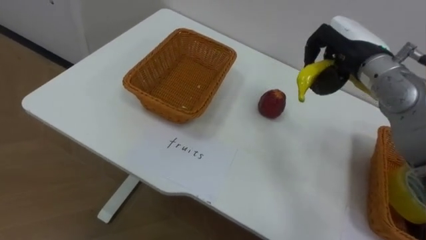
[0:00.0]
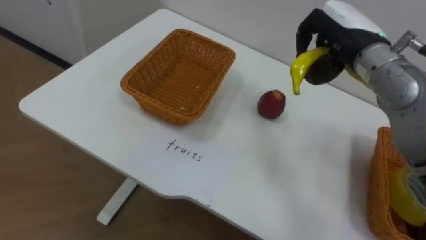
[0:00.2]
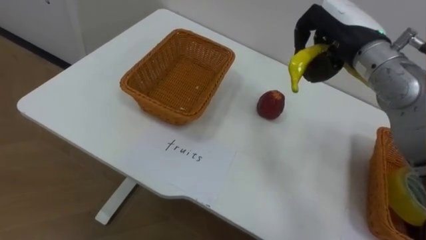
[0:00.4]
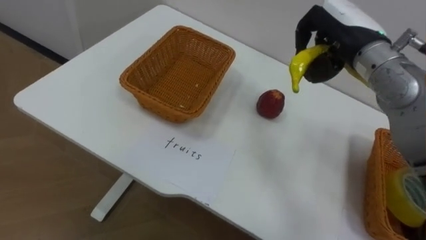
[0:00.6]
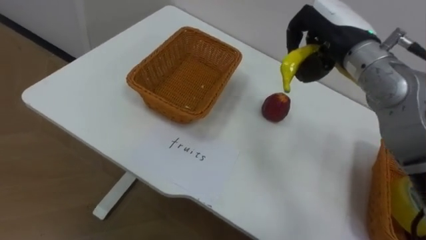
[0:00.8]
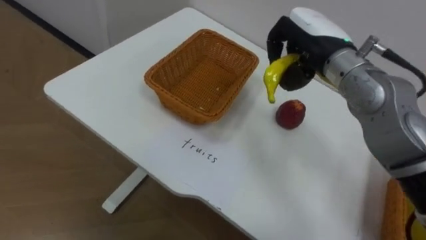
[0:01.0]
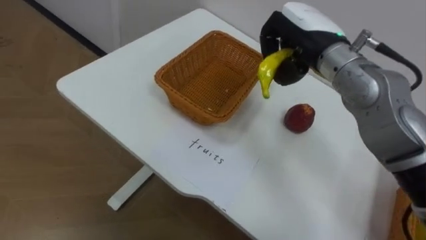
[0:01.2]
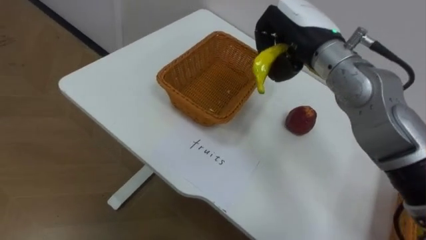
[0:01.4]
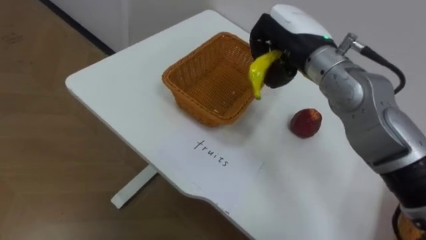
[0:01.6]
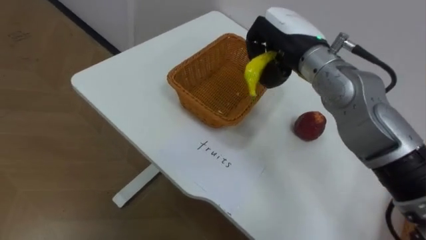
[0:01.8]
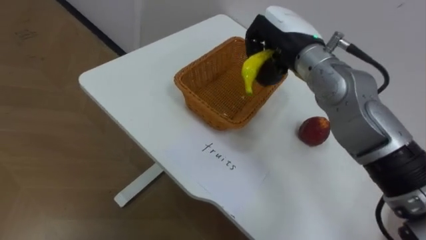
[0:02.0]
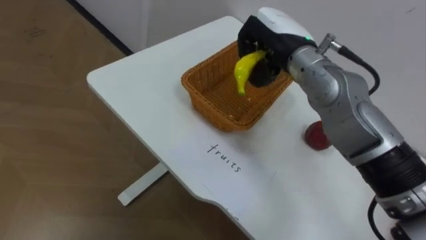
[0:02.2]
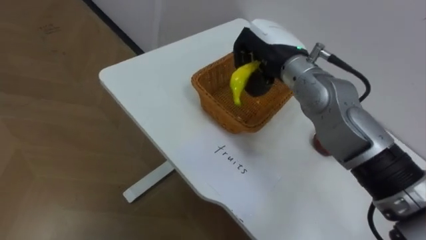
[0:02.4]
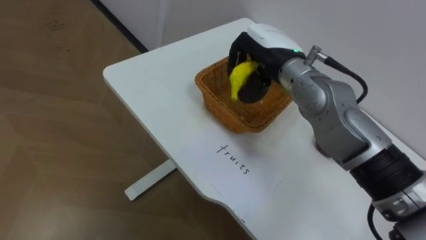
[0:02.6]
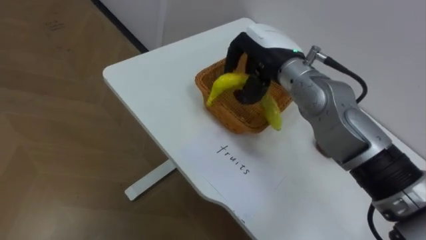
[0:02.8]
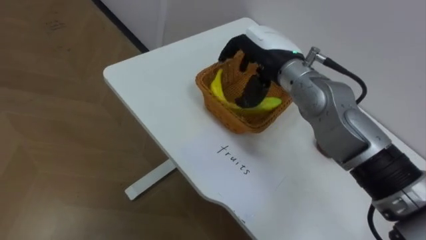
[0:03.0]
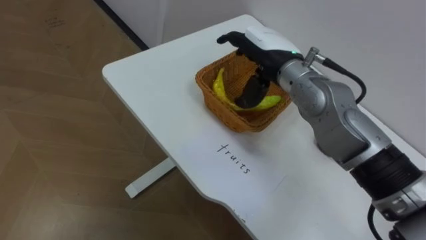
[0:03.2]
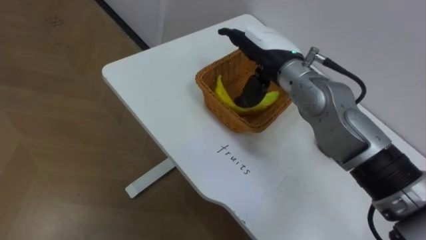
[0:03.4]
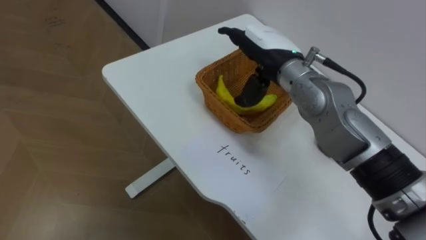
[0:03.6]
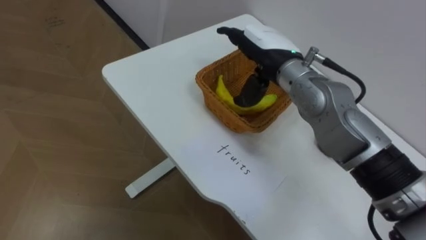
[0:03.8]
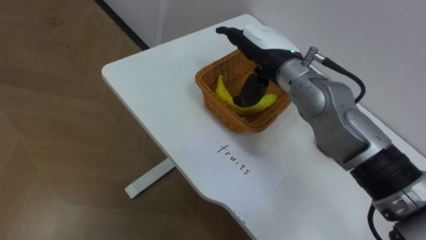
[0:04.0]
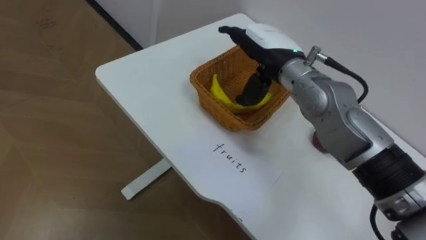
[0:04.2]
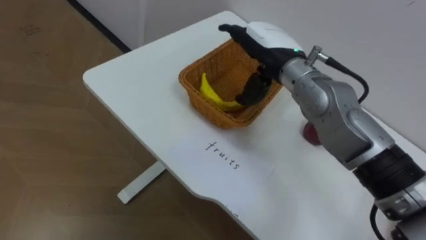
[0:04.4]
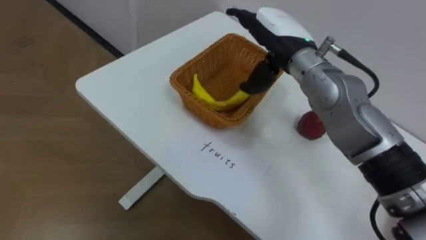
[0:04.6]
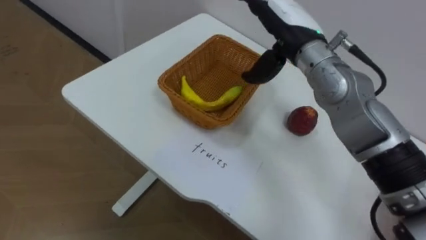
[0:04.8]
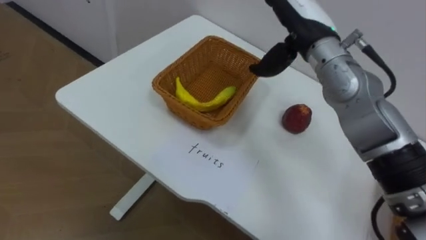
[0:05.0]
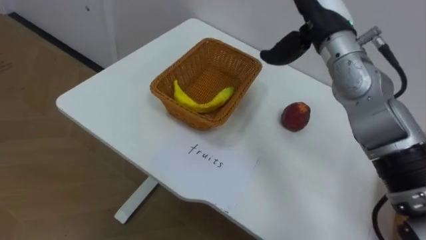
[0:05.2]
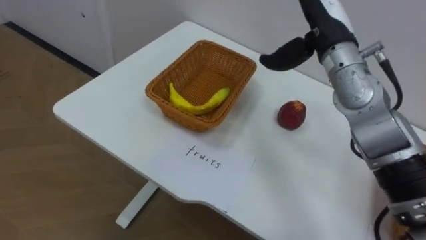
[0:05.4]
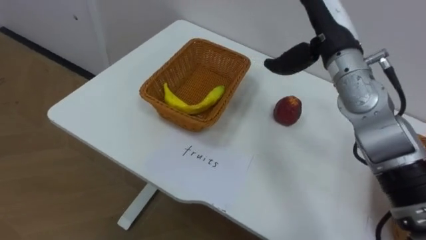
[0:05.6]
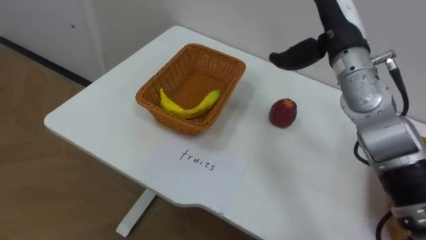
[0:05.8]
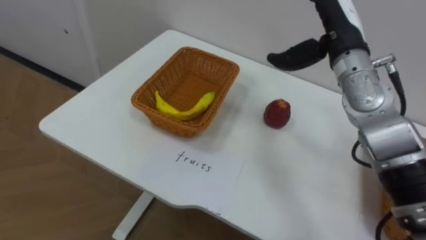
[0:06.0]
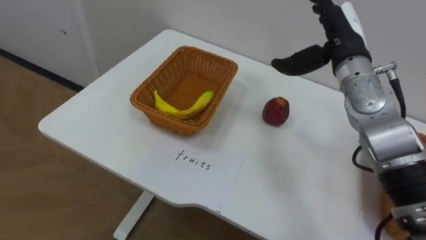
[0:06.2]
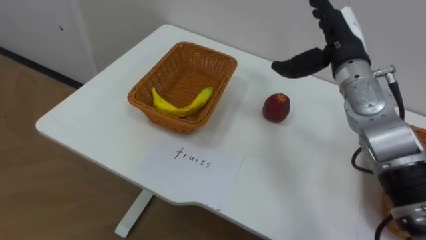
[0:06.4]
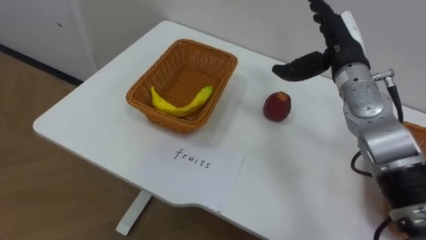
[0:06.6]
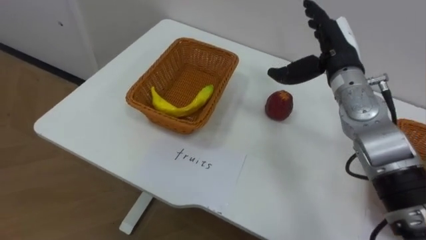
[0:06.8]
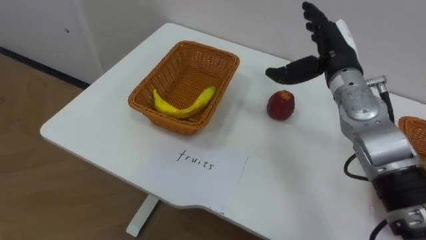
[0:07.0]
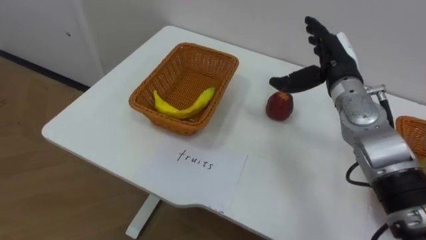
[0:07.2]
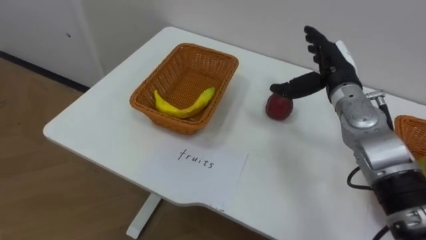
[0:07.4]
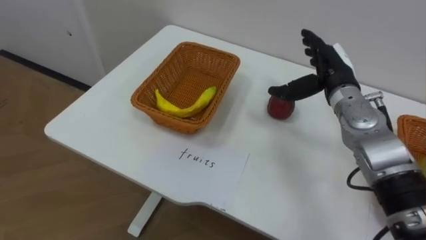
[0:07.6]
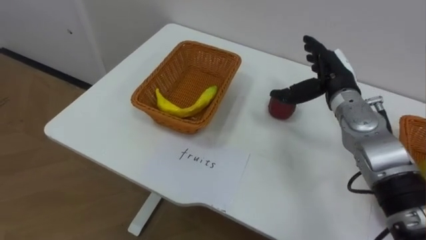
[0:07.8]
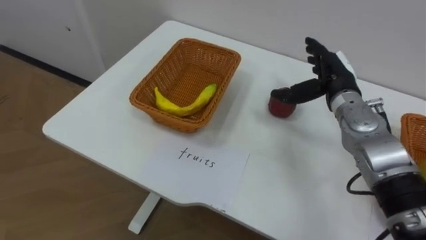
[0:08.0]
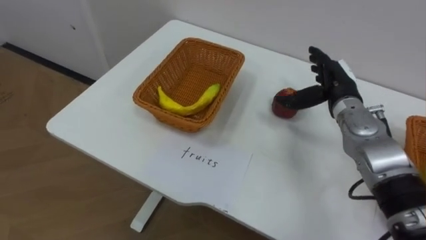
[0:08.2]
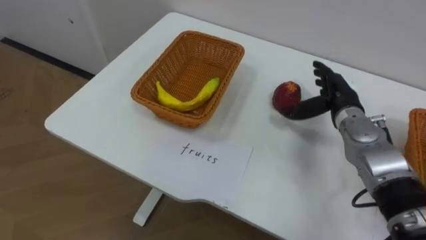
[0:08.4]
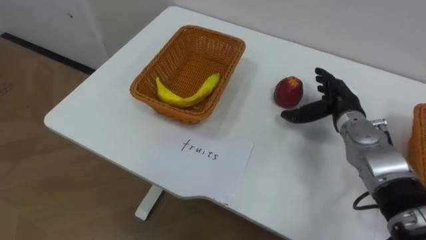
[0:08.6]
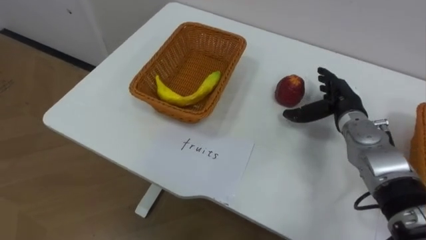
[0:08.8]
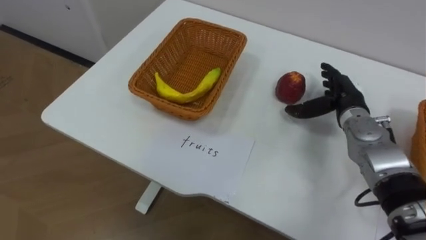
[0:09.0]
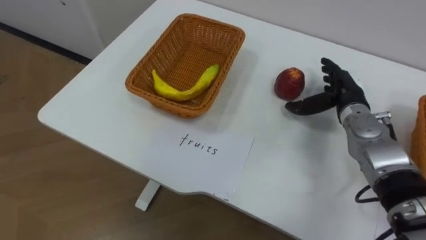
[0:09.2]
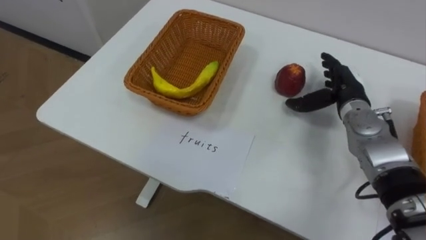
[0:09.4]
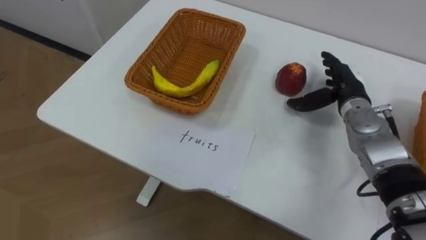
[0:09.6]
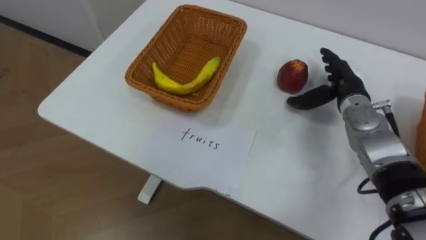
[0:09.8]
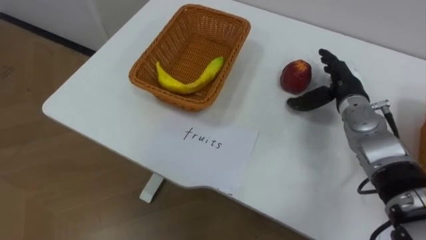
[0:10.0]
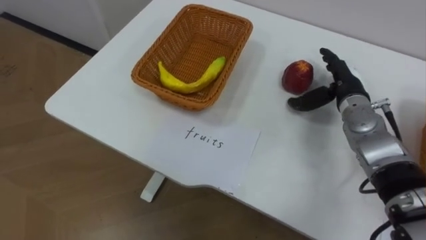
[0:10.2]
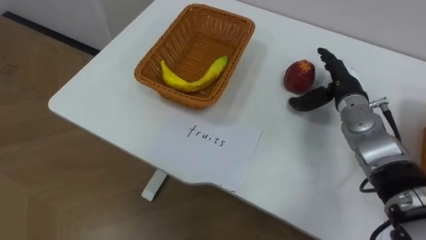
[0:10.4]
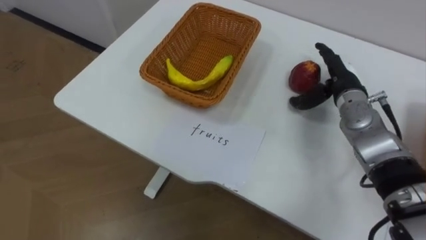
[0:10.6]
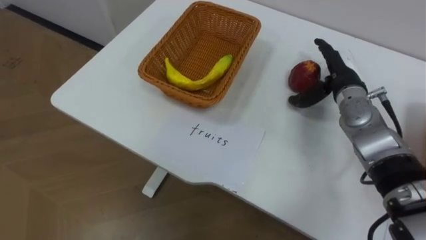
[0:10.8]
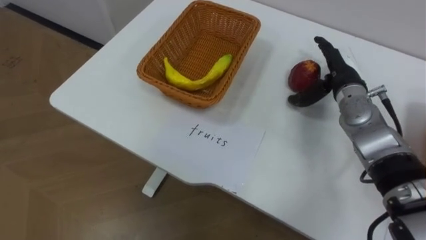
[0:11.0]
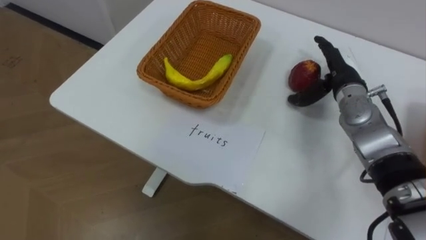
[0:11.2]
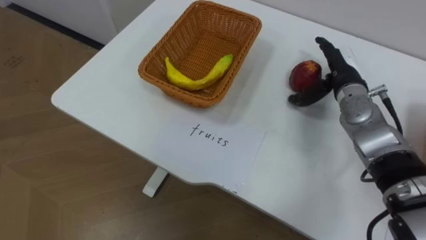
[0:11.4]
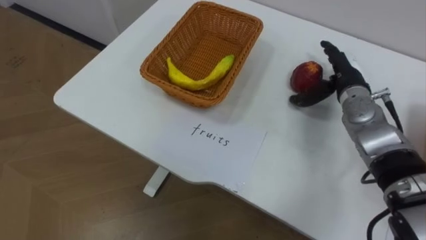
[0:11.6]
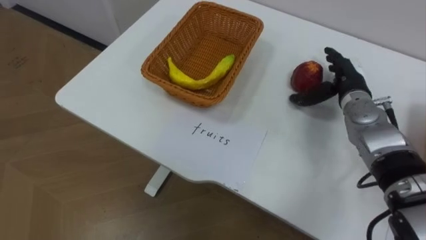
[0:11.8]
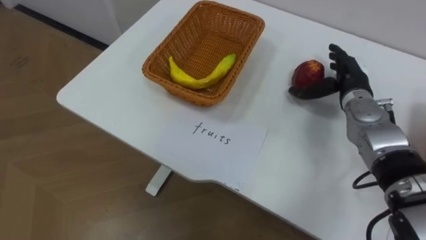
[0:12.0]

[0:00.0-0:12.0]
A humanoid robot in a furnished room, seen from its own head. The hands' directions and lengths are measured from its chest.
Task of the whole recording: Separate the items on the table and place them into the two baskets.
0:00.0 to 0:01.6: The right hand travels to the left by some 10 cm.
0:01.6 to 0:03.0: The right hand changes place by approximately 5 cm, and opens its fingers.
0:04.4 to 0:06.0: The right hand heads to the right, covering about 10 cm.
0:06.0 to 0:07.6: The right hand moves downward, some 10 cm.
0:07.6 to 0:09.0: The right hand heads downward, covering roughly 5 cm.

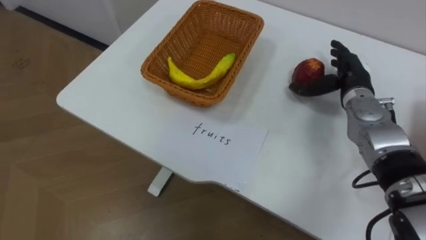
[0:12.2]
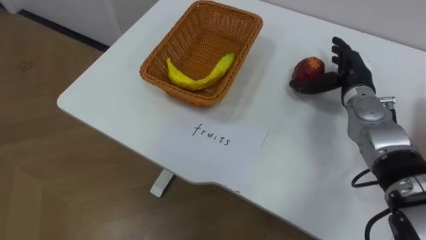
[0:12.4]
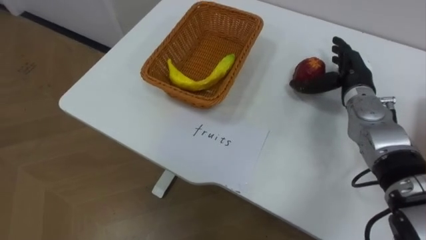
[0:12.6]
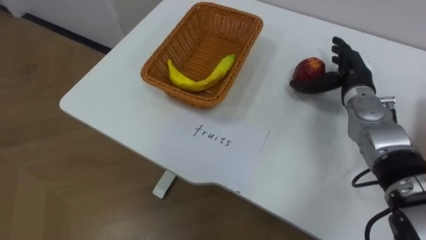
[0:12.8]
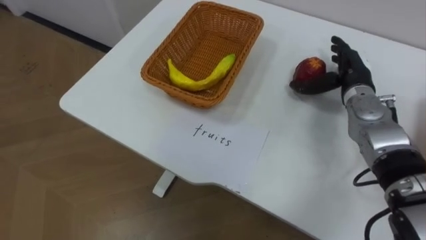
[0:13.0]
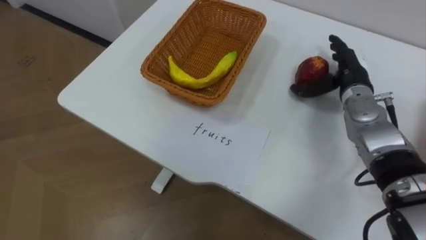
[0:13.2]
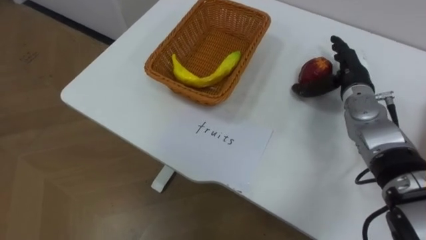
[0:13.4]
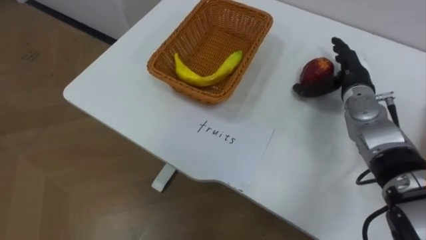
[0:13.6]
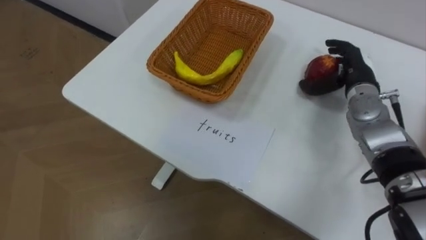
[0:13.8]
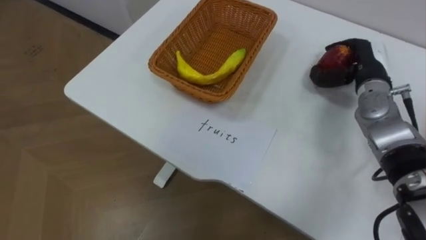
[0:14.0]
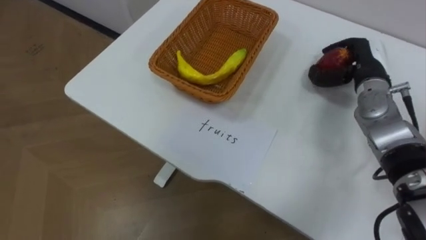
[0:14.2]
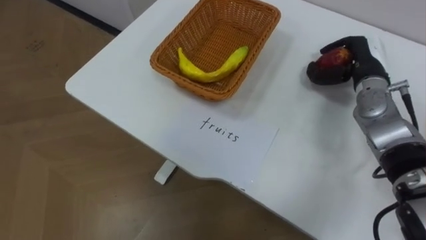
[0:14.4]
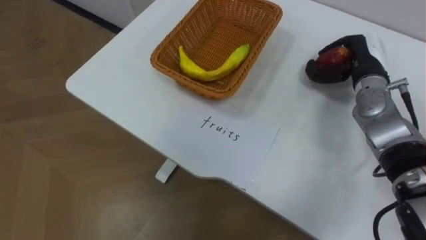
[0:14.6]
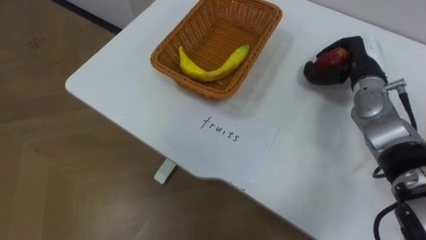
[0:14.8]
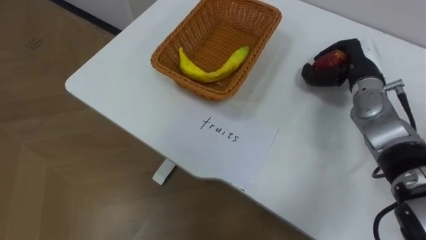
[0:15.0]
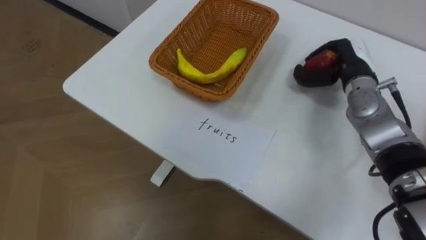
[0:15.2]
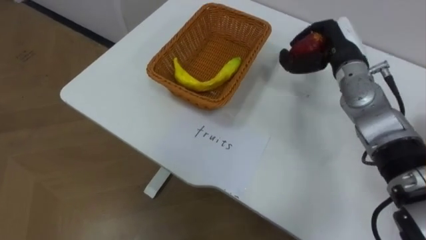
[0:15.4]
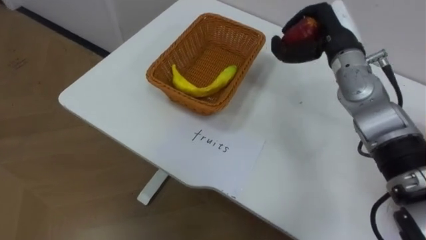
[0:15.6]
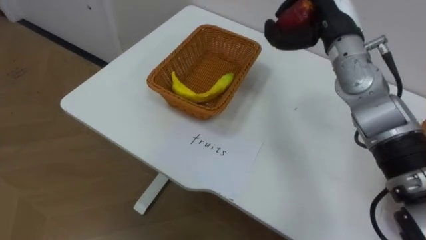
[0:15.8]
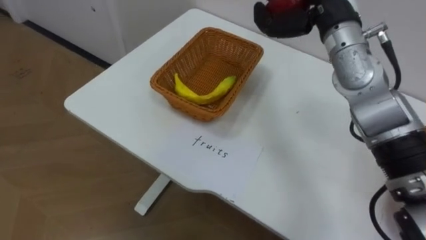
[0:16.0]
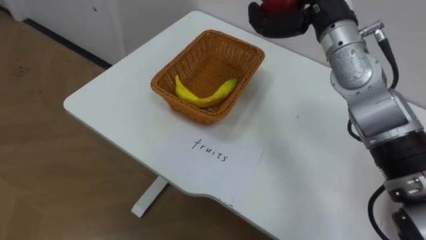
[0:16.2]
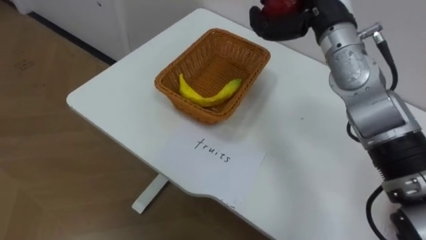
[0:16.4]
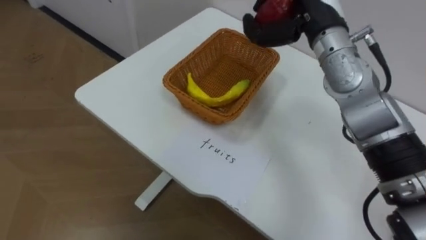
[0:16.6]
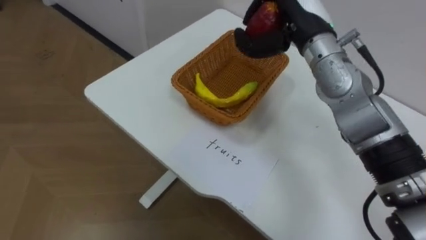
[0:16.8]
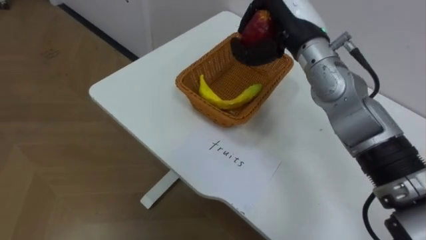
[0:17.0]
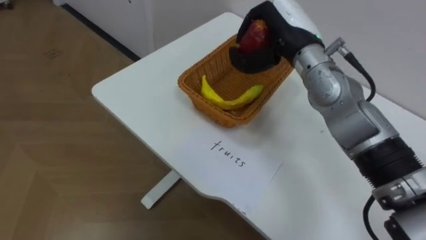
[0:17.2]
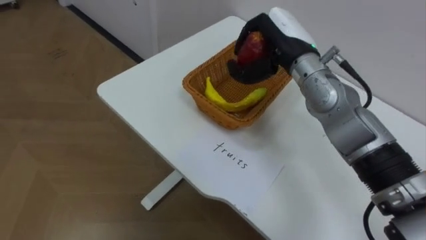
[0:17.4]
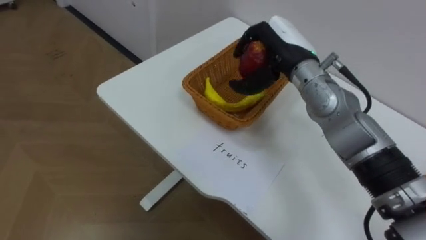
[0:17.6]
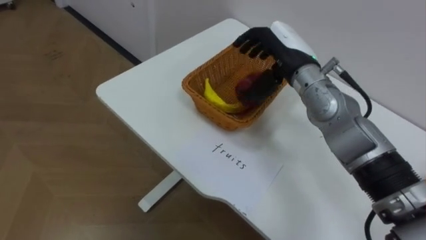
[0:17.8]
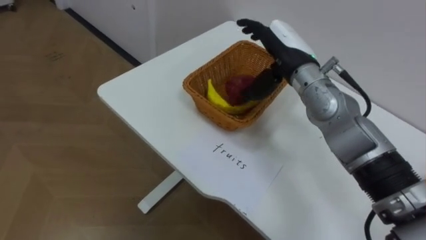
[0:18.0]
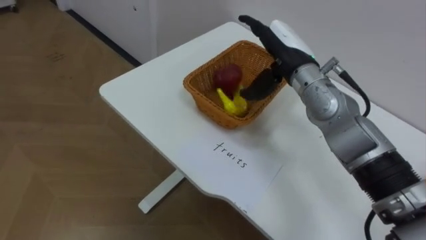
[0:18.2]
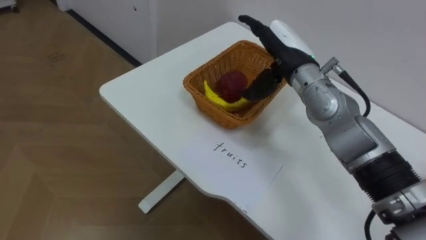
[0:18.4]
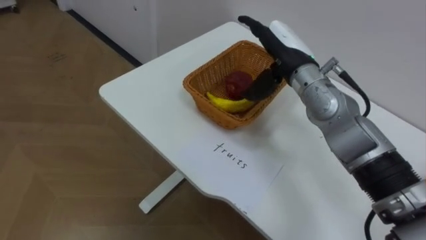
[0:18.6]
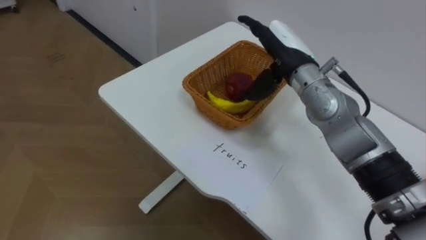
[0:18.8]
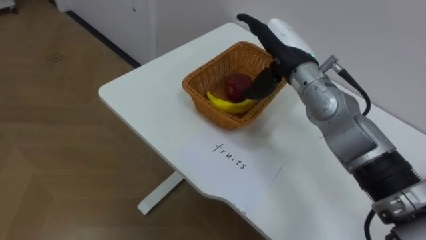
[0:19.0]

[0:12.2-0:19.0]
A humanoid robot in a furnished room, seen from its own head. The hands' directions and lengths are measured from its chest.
Task of the whole recording: Separate the items on the table and place them into the two baskets.
0:13.6 to 0:15.0: The right hand closes up.
0:17.6 to 0:19.0: The right hand opens its fingers.
